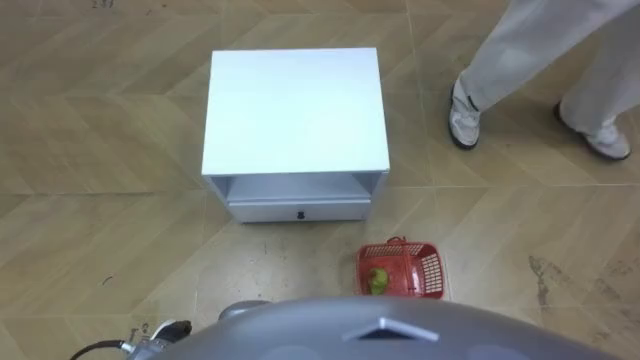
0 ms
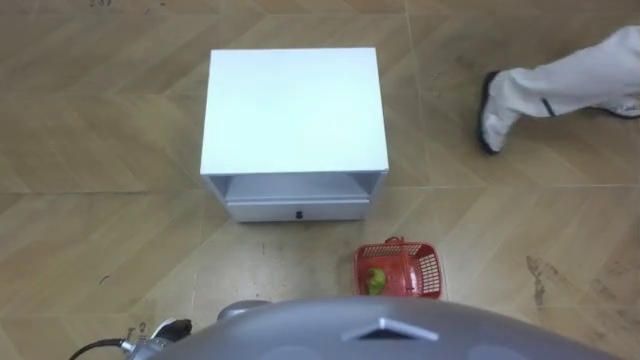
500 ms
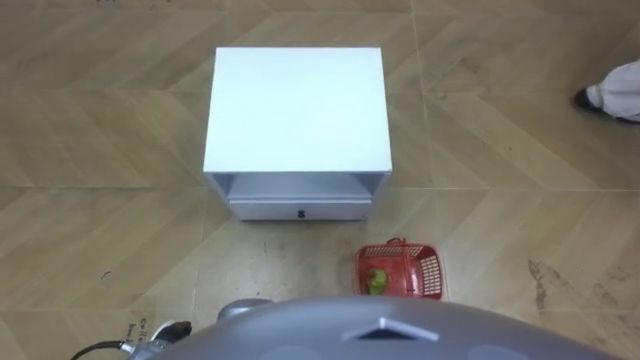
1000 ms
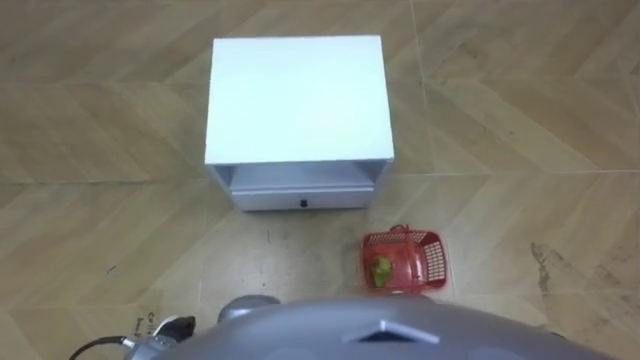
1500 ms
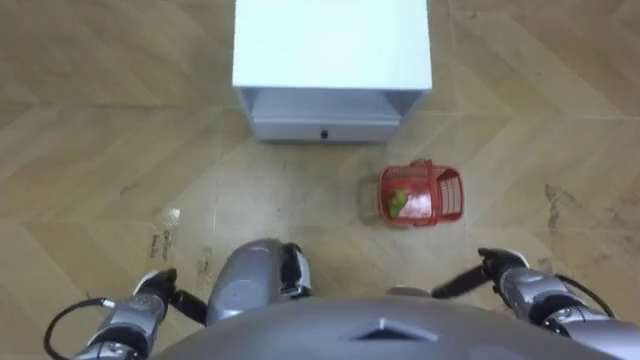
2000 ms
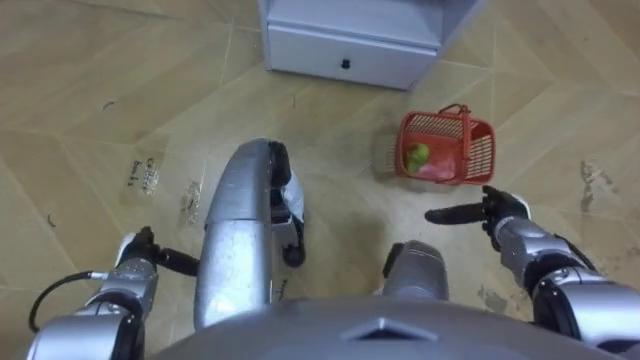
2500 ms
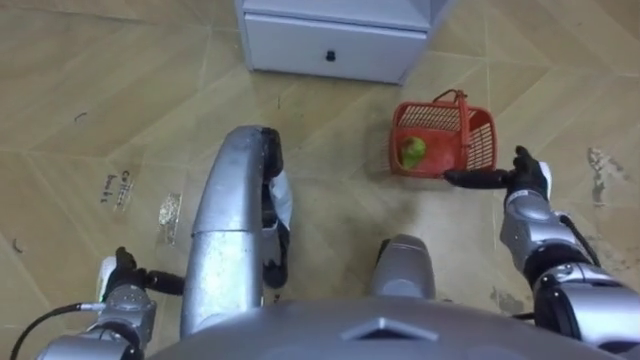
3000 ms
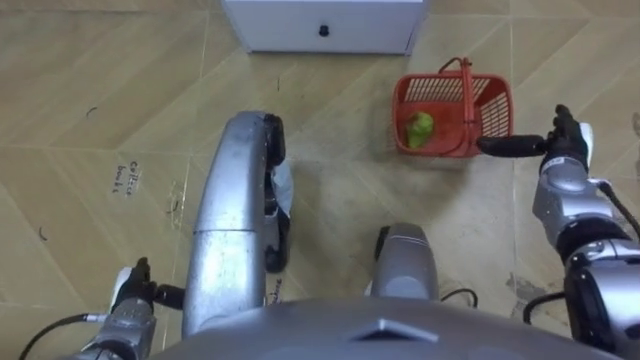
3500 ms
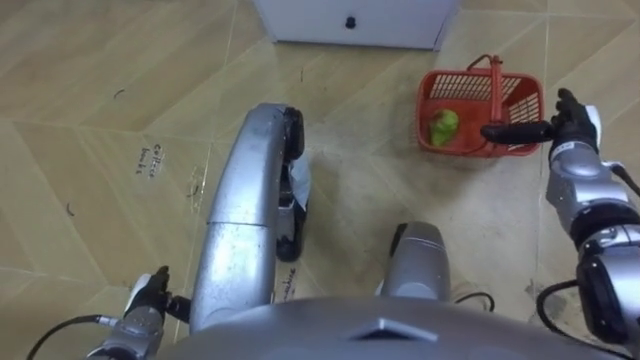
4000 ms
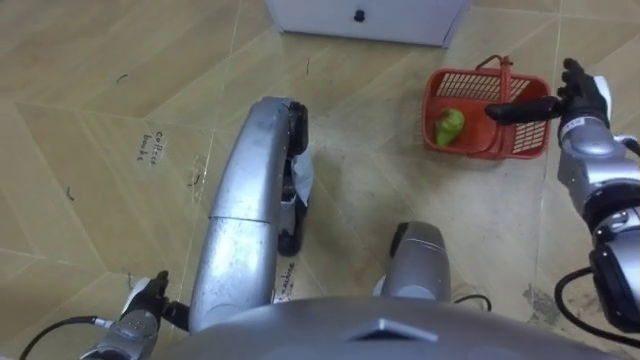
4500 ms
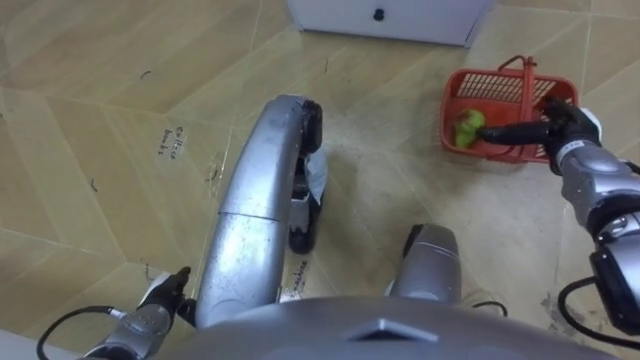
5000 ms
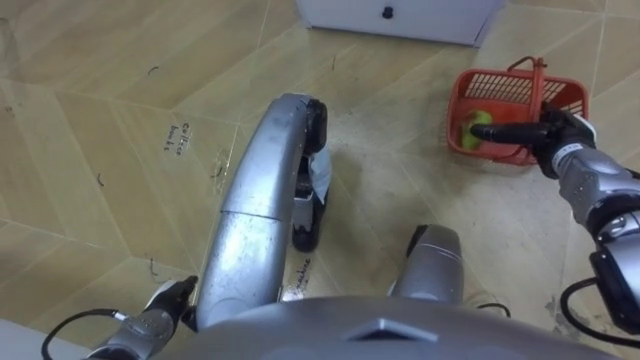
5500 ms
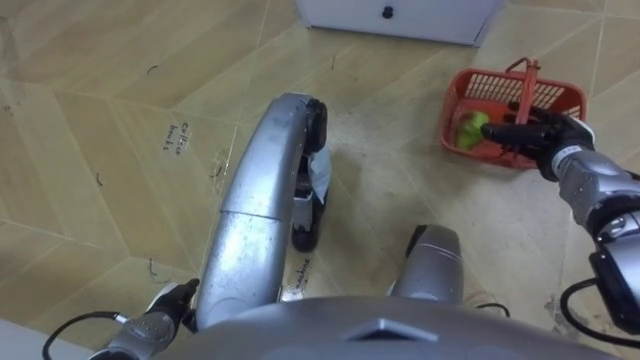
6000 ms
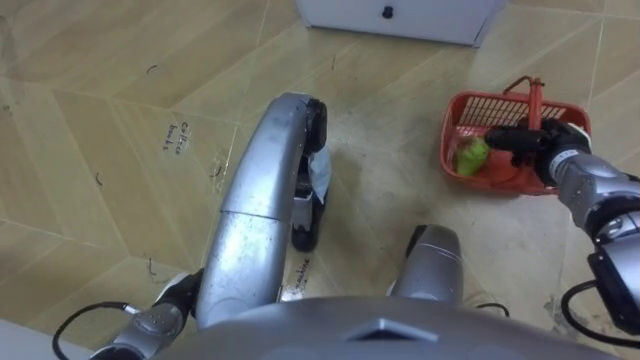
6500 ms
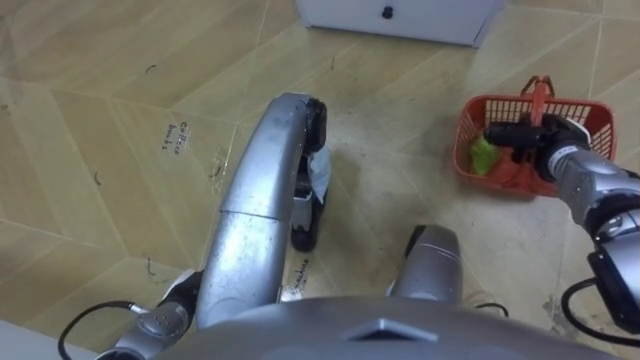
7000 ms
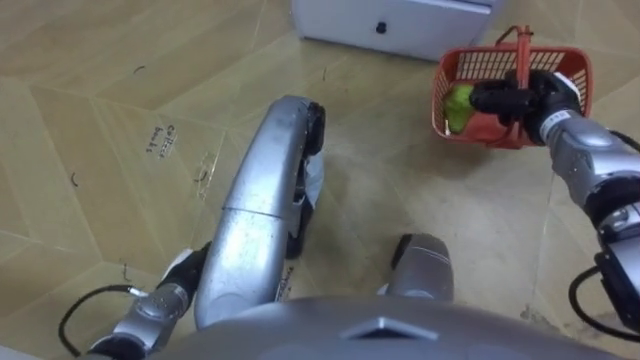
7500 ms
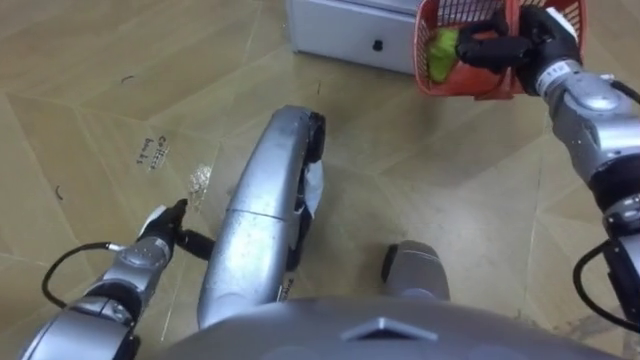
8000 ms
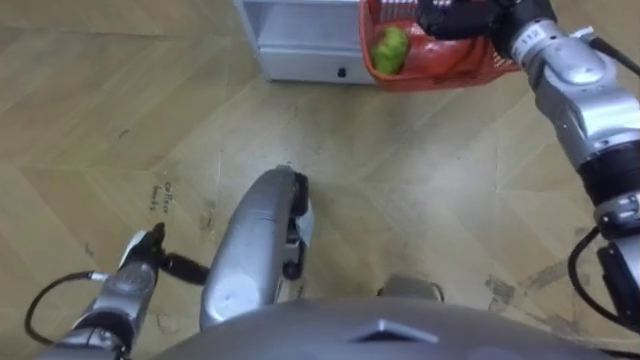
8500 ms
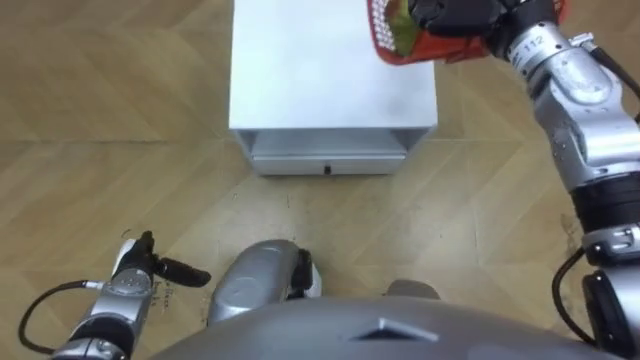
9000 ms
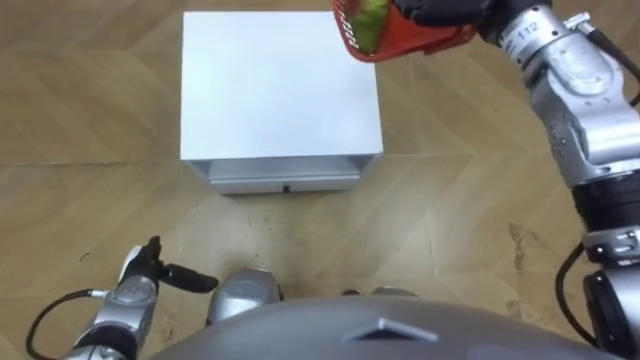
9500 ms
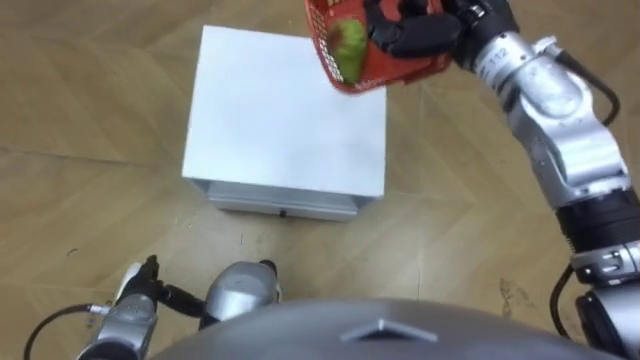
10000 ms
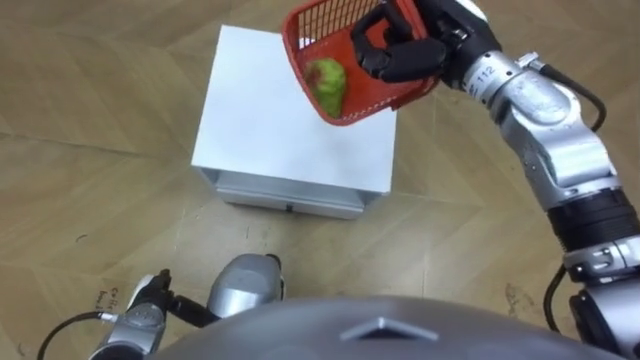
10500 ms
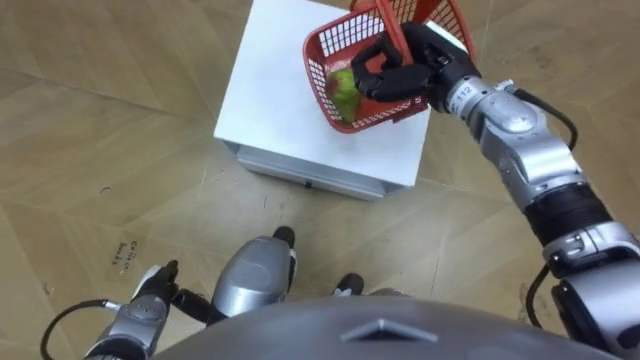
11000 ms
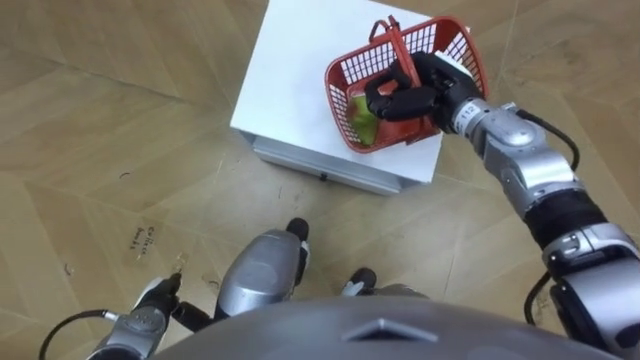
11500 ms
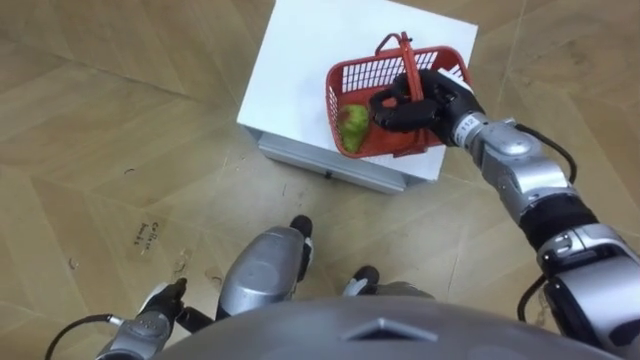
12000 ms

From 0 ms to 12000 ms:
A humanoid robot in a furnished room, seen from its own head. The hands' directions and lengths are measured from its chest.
Task of the whole recording: Pick up the fruit basket from the floor and place it on the cabinet.
From 2000 ms to 4000 ms: The right hand is displaced forward and upward by some 20 cm.
From 6000 ms to 8000 ms: The right hand is displaced upward, forward and to the left by about 15 cm, and closes its fingers, while the left hand is displaced forward by some 10 cm.
From 8000 ms to 10000 ms: The left hand goes about 10 cm backward.
From 10000 ms to 12000 ms: The right hand goes about 15 cm downward.

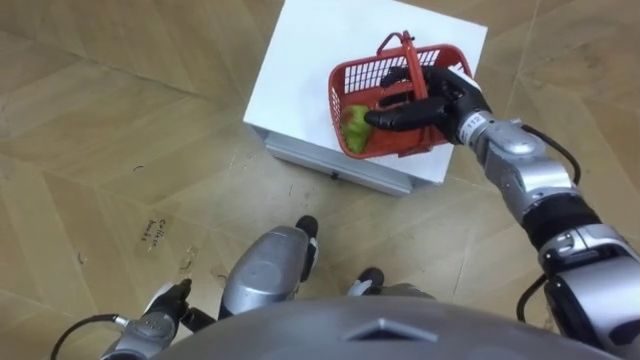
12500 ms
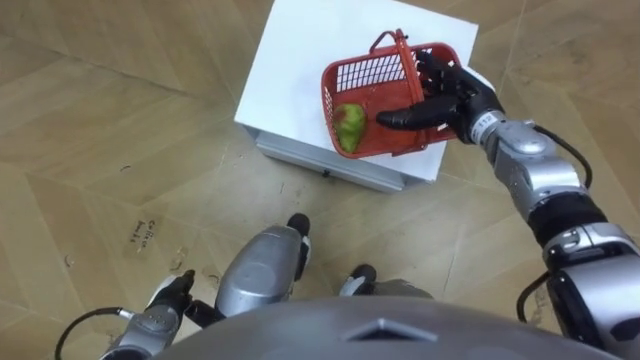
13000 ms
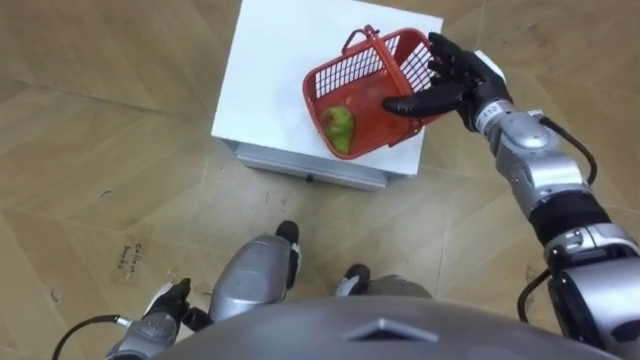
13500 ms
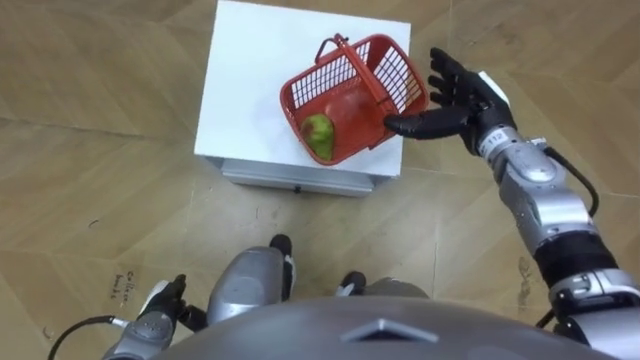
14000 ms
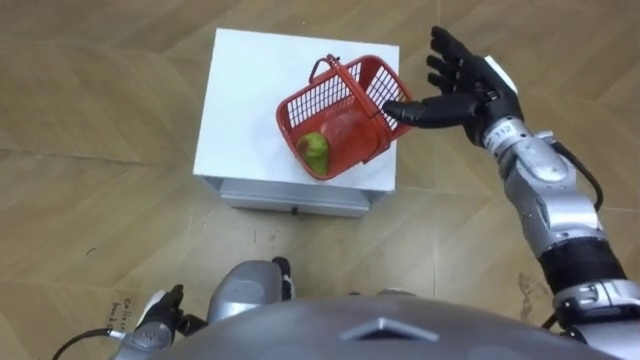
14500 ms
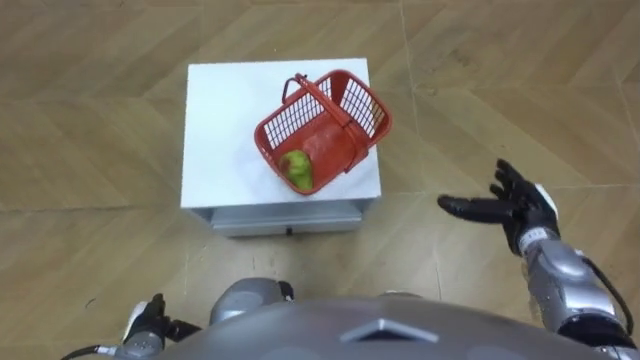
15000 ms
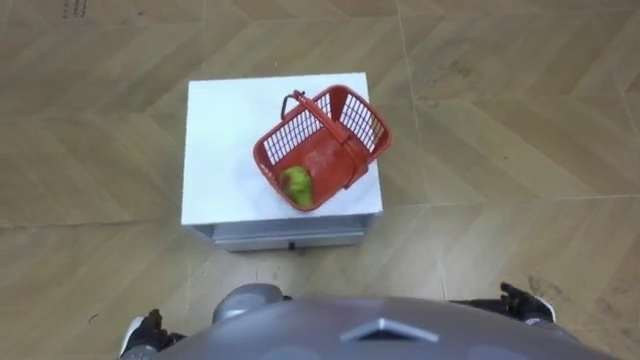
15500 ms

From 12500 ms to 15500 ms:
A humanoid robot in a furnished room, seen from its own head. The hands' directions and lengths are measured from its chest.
Task of the whole recording: Pick up the fruit basket from the floor and place it on the cabinet.
From 14000 ms to 15500 ms: The left hand ends up approximately 5 cm from where it was. Meanwhile the right hand travels backward and downward by some 30 cm.

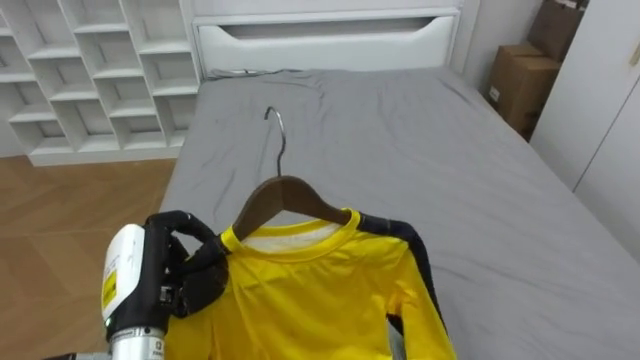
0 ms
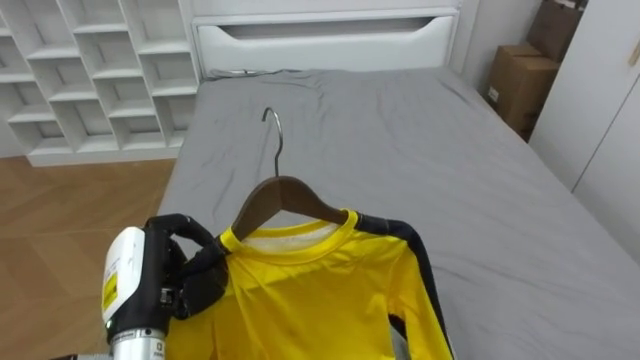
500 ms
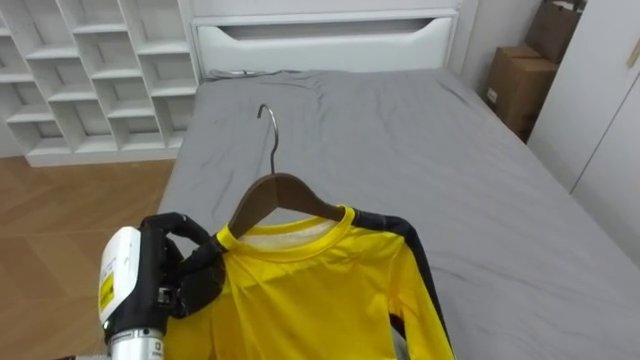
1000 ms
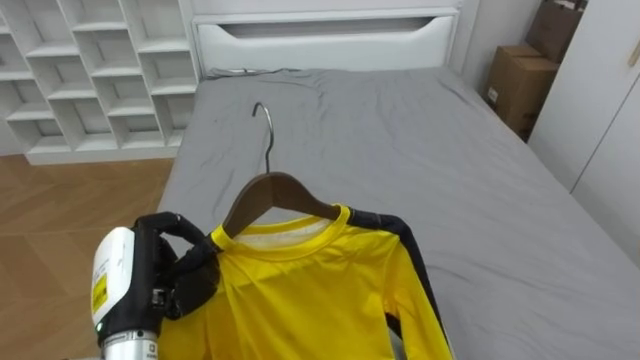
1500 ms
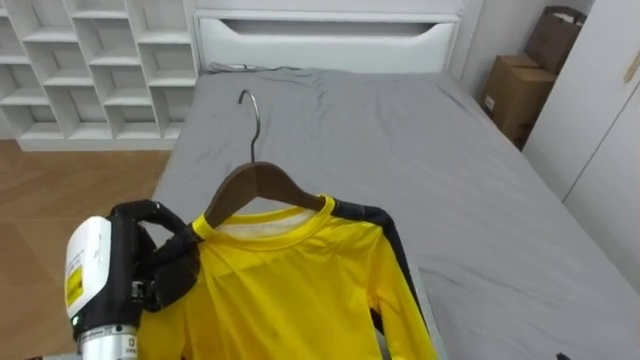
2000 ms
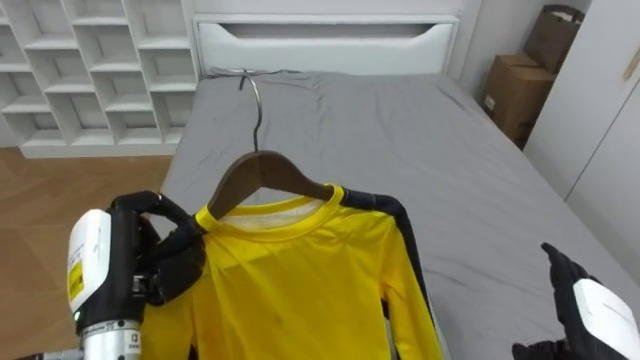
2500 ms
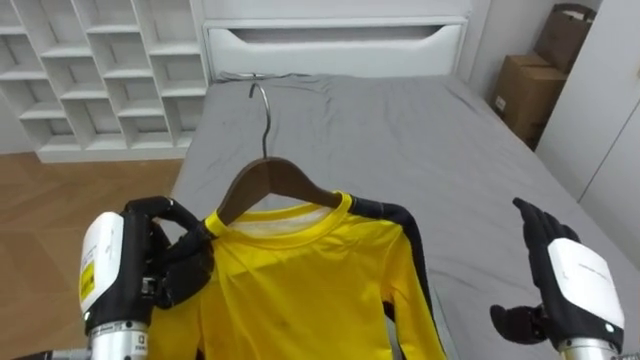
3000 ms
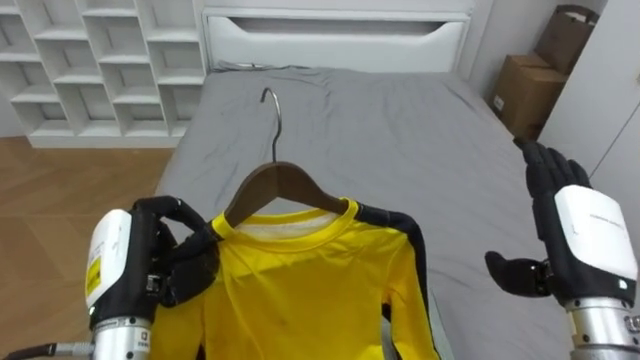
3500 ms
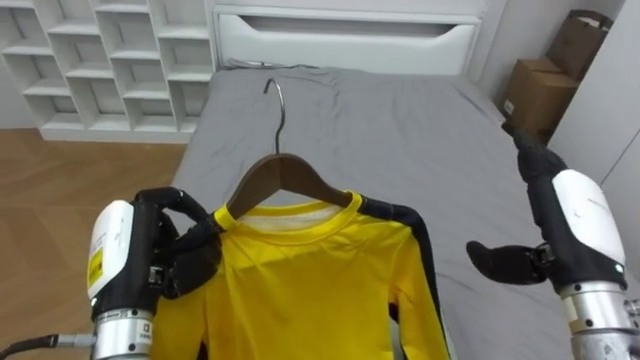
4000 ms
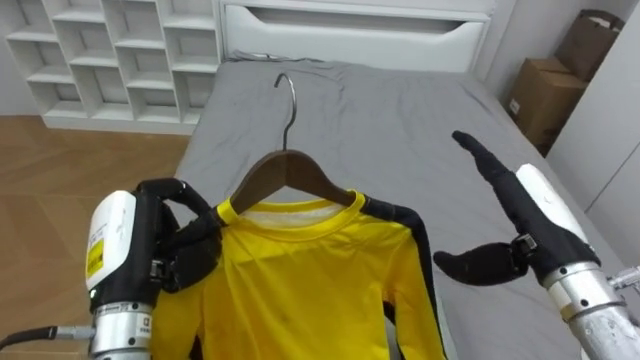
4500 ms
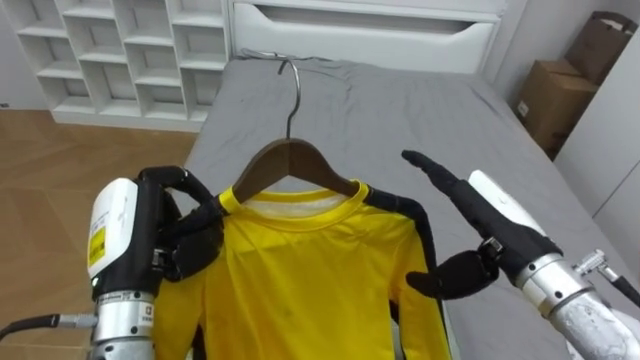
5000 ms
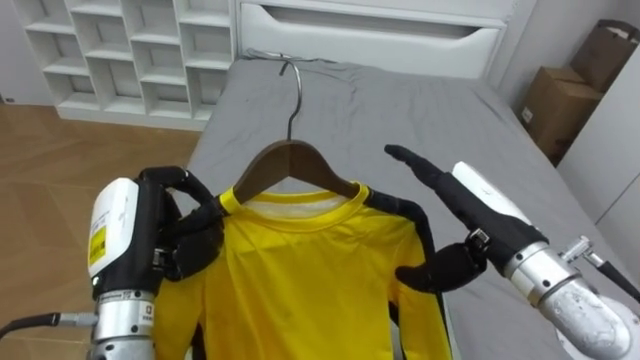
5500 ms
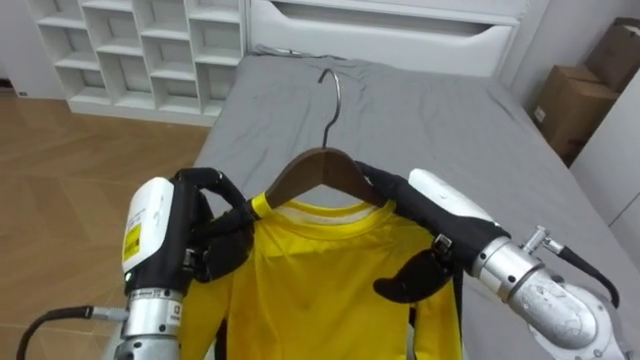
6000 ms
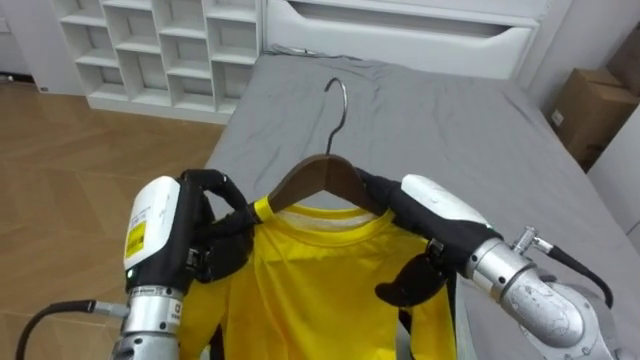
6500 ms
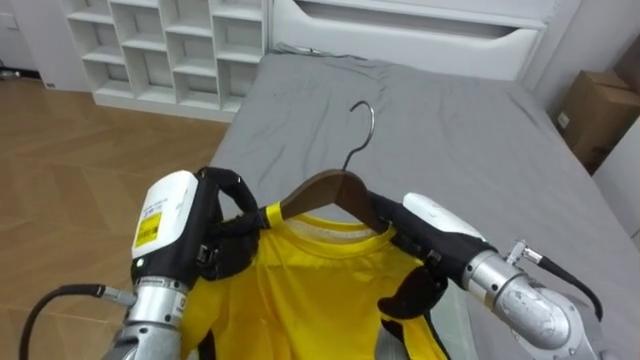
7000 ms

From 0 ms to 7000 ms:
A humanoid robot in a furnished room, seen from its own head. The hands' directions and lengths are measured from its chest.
Task of the whole recording: Pick up the yellow shirt on the bed and hang it on the clothes rack on the right.
From 3500 ms to 5000 ms: The right hand shifts about 5 cm to the left.
From 5000 ms to 7000 ms: The right hand travels to the left by approximately 5 cm.
